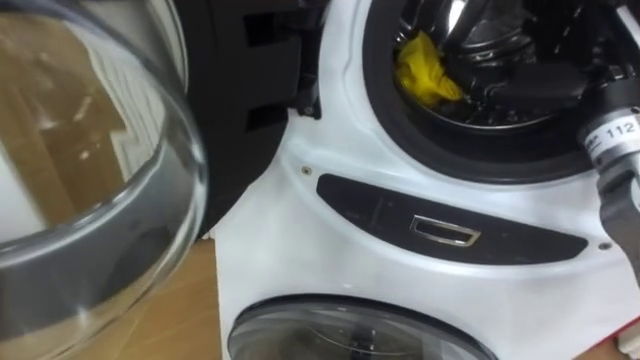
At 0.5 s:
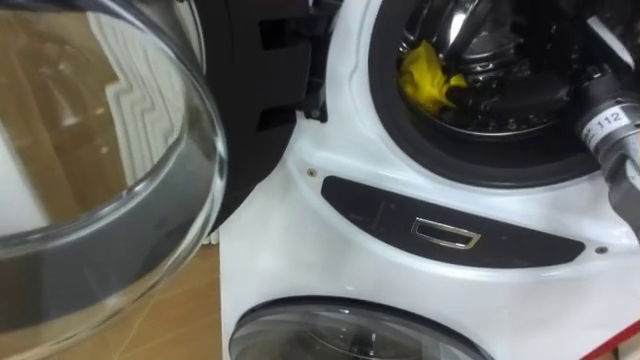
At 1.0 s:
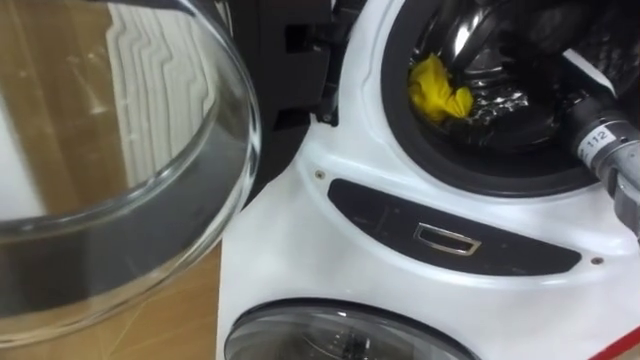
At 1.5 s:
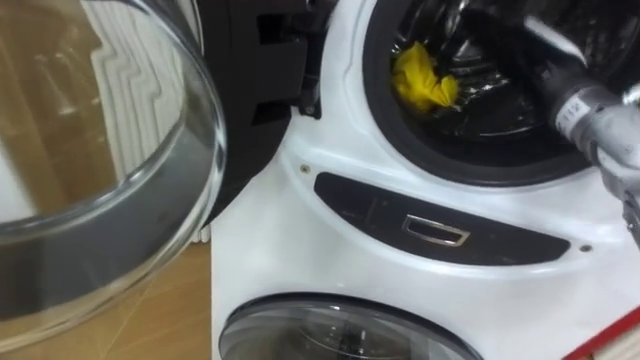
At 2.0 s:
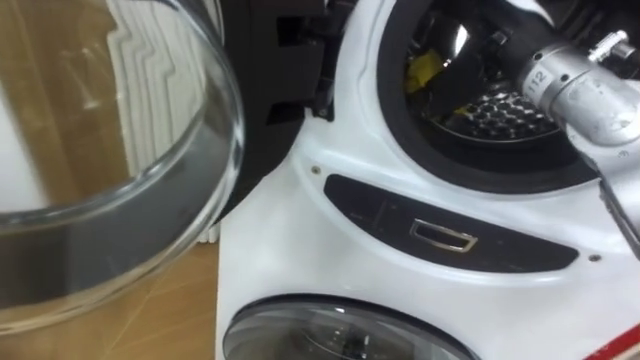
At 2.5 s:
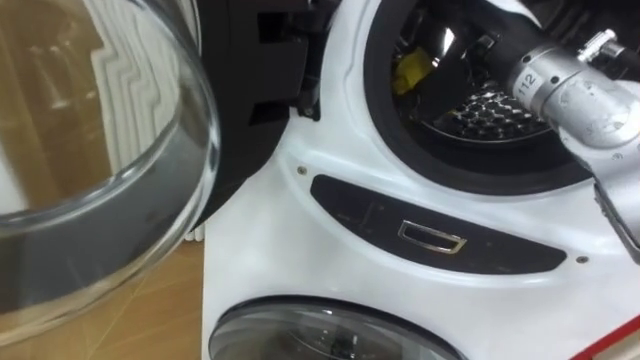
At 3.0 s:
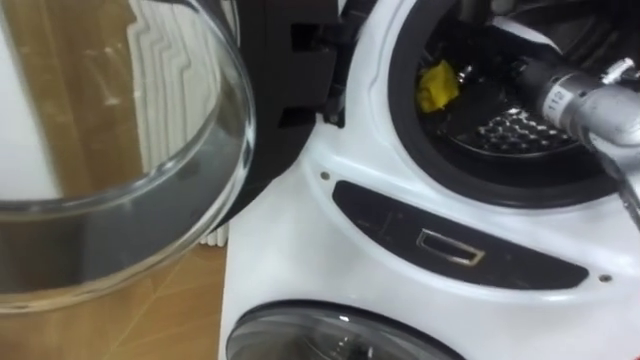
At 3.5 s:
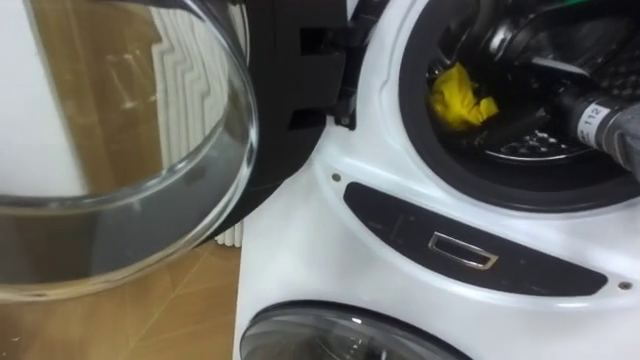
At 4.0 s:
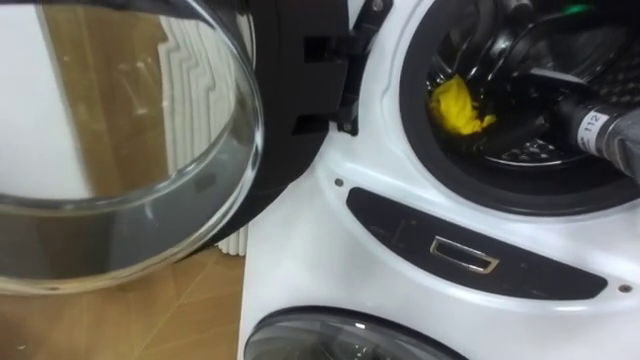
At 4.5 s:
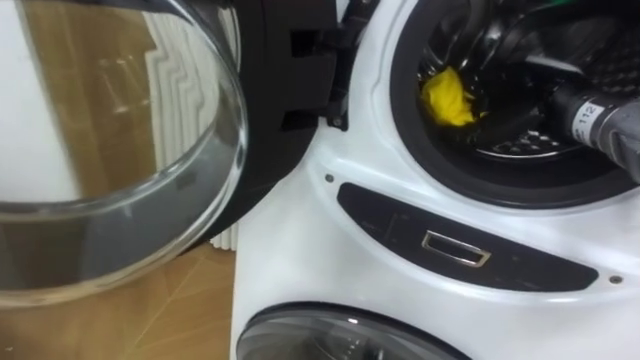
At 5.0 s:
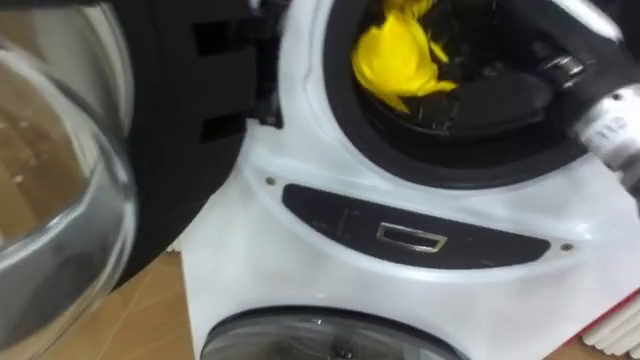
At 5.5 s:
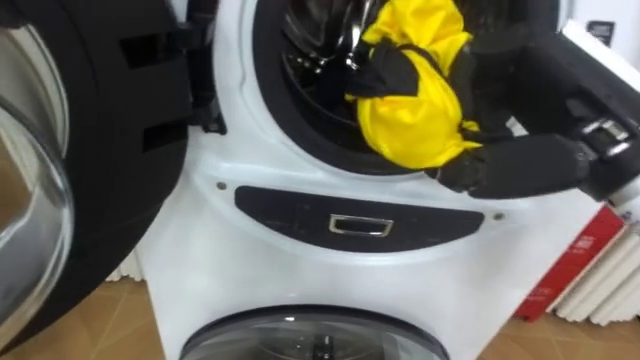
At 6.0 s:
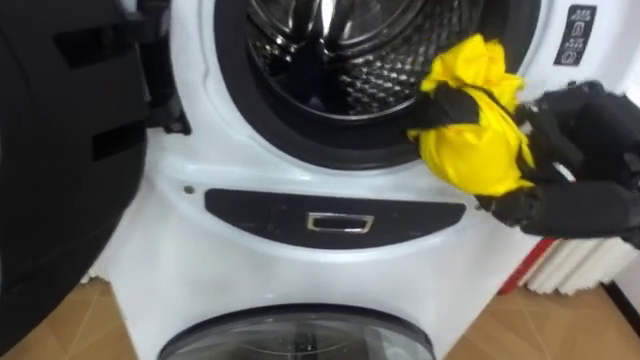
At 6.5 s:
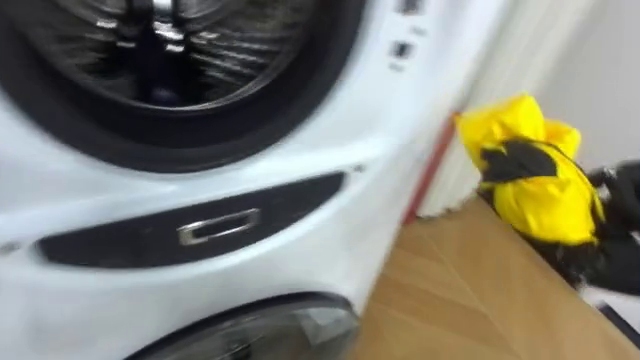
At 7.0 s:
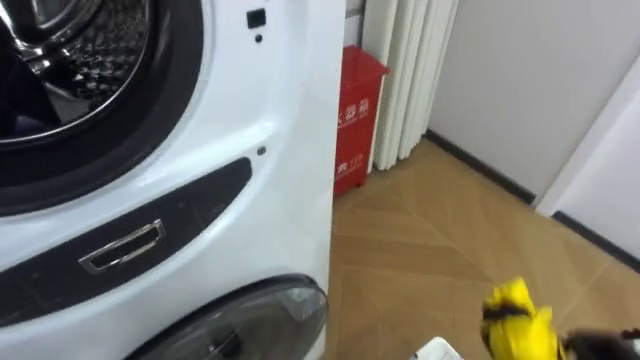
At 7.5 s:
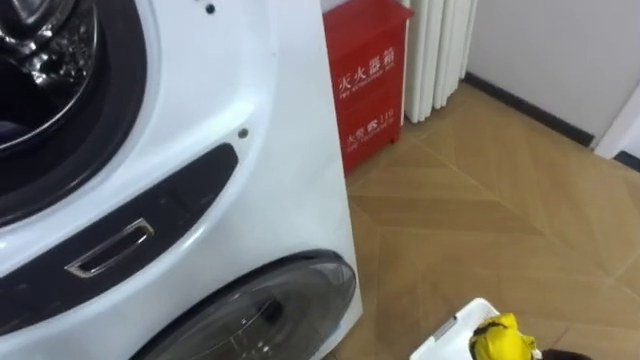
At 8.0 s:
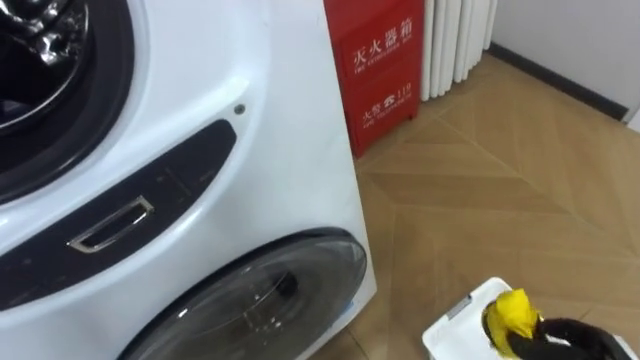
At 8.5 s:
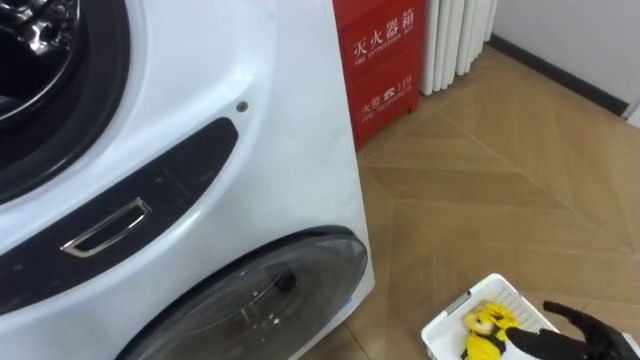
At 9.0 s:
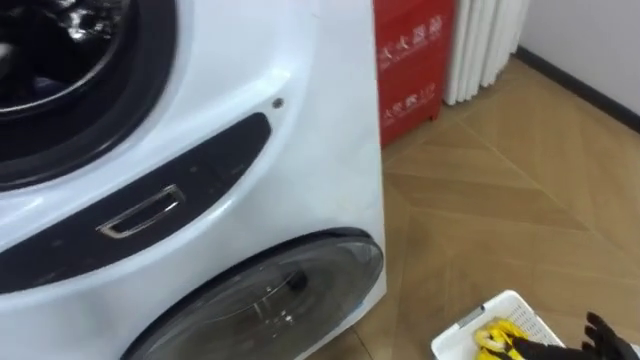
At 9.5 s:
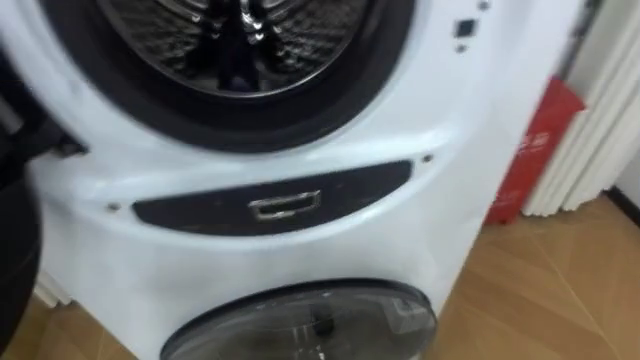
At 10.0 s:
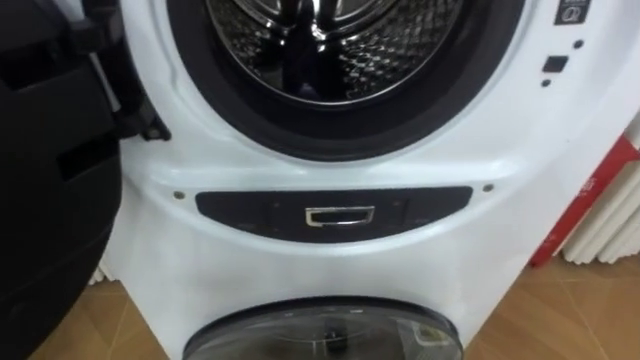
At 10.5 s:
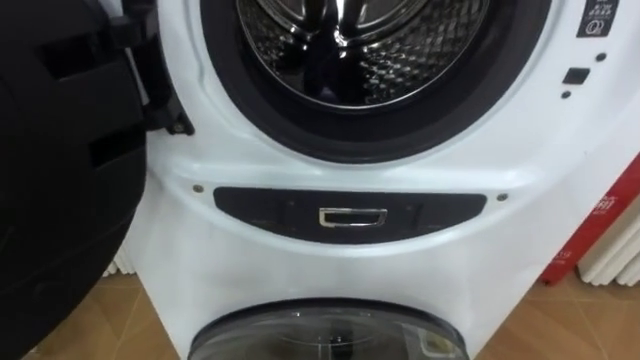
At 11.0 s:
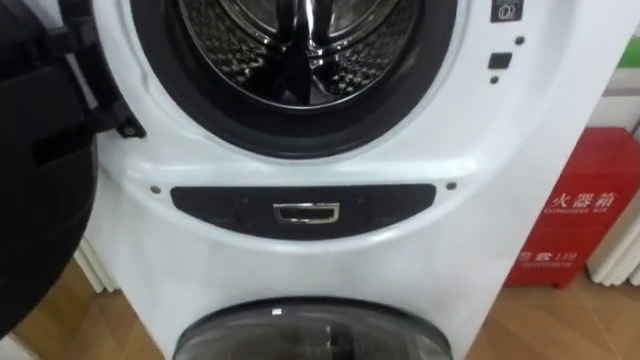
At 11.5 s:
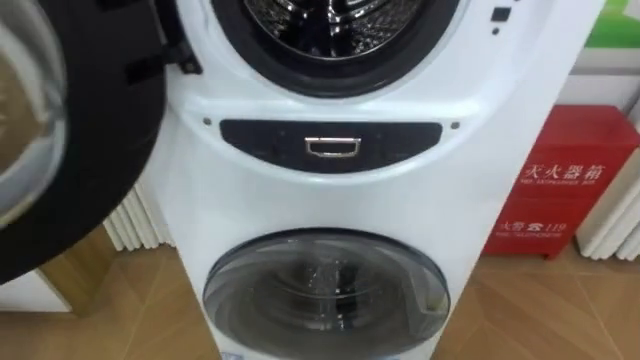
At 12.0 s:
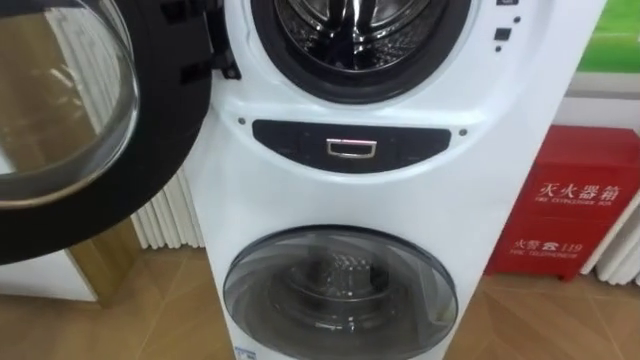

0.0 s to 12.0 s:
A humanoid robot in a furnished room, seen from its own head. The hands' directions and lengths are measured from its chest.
Task of the whole recording: Open the washing machine door, take out the yellow clothes, place them in the box on the right, and close the washing machine door.
0.0 to 2.0 s: The right hand moves to the left, some 10 cm.
2.0 to 4.0 s: The right hand goes about 15 cm downward and to the right, and closes its fingers.
4.0 to 6.0 s: The right hand shifts approximately 15 cm backward, and closes its fingers.
8.0 to 10.0 s: The robot's body swings roughly 20 degrees to its left.

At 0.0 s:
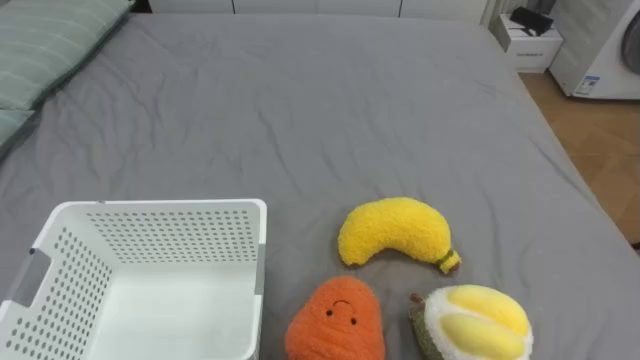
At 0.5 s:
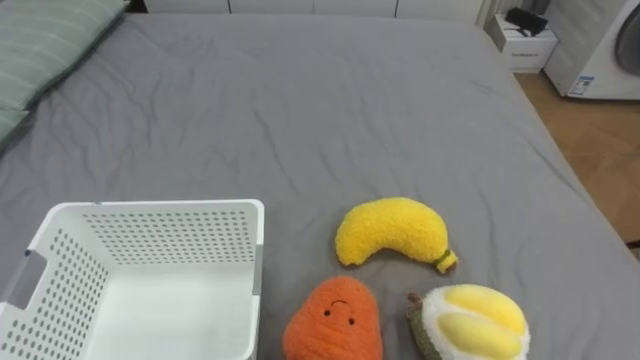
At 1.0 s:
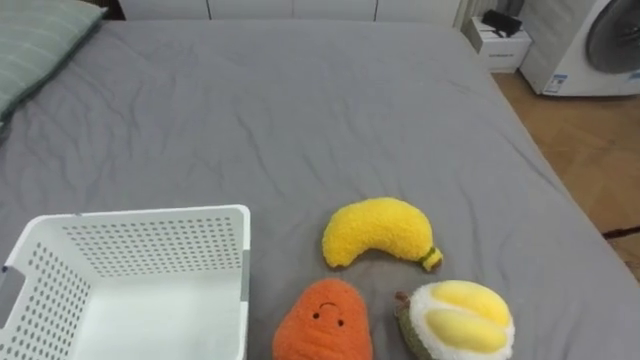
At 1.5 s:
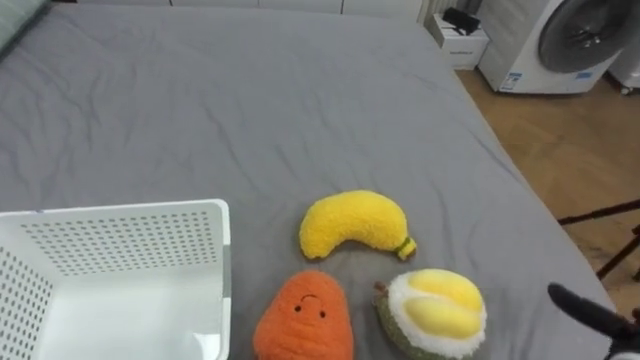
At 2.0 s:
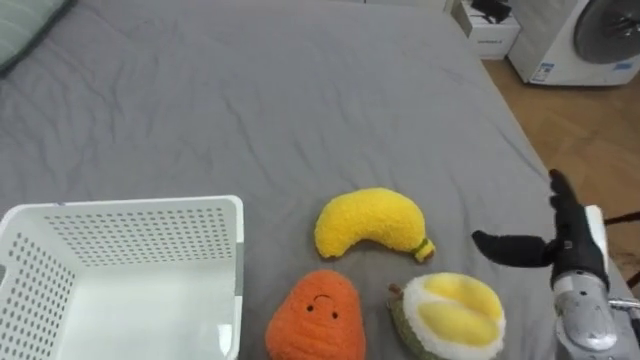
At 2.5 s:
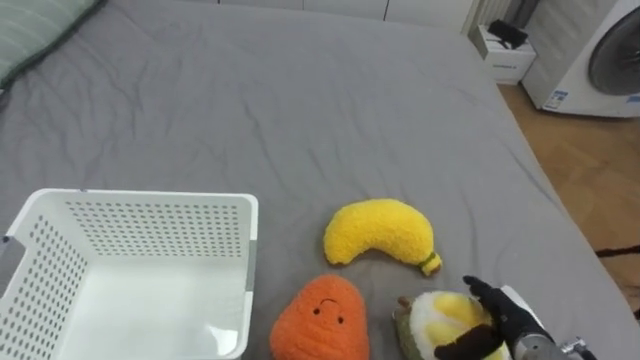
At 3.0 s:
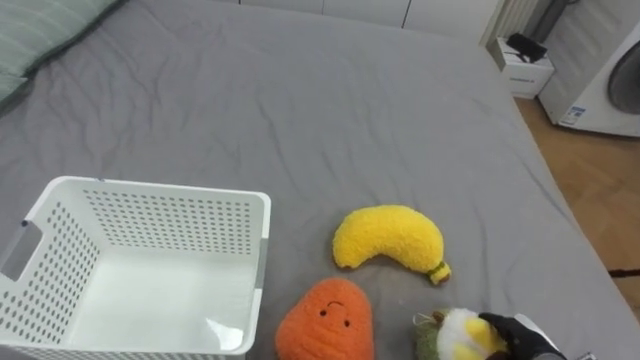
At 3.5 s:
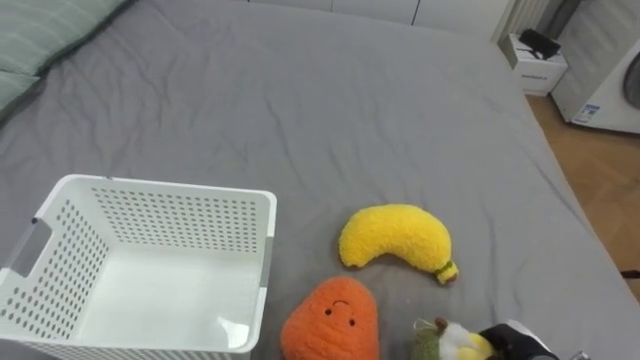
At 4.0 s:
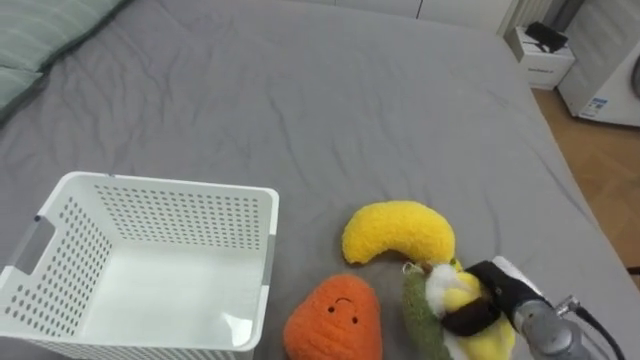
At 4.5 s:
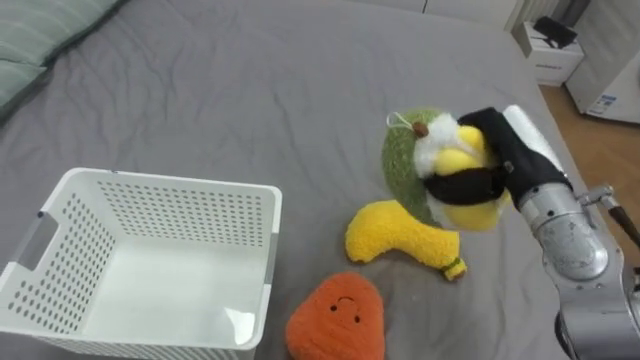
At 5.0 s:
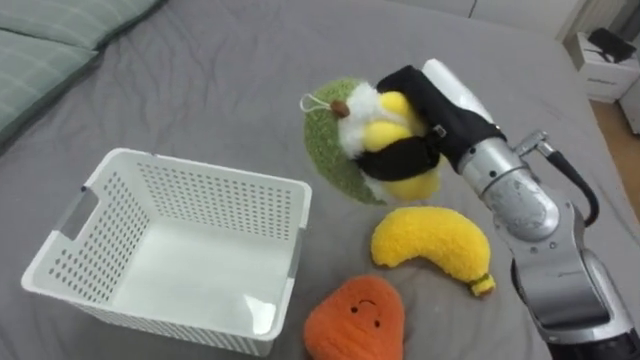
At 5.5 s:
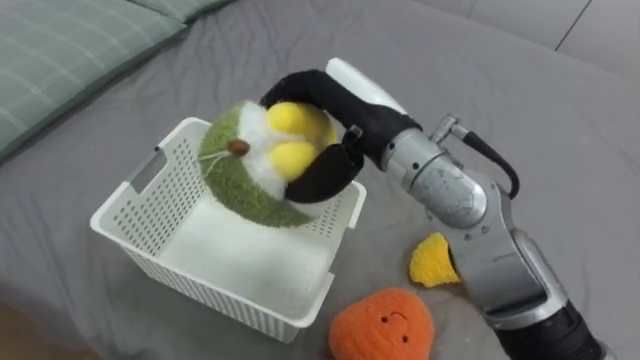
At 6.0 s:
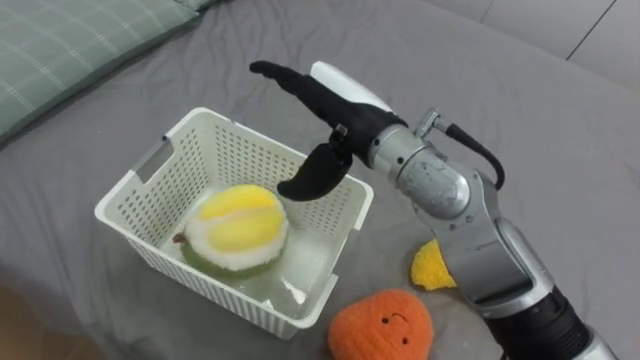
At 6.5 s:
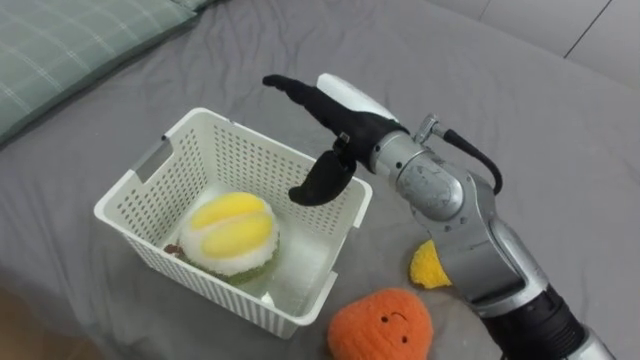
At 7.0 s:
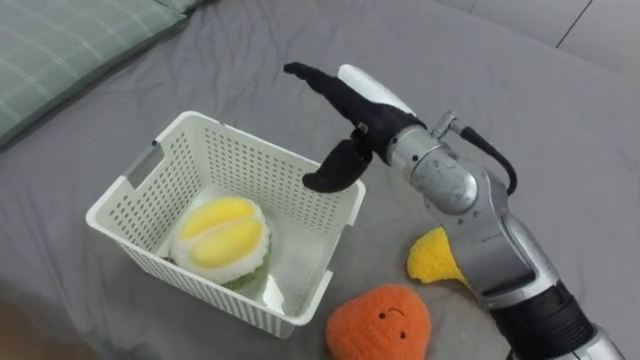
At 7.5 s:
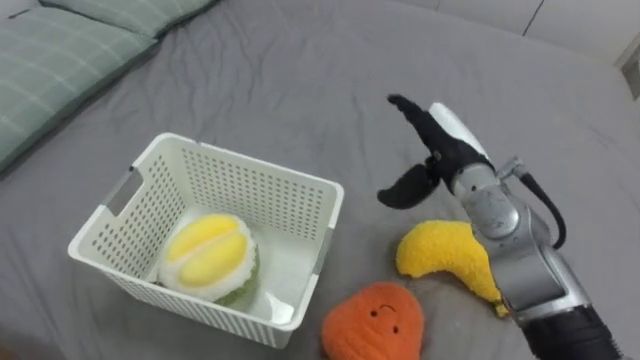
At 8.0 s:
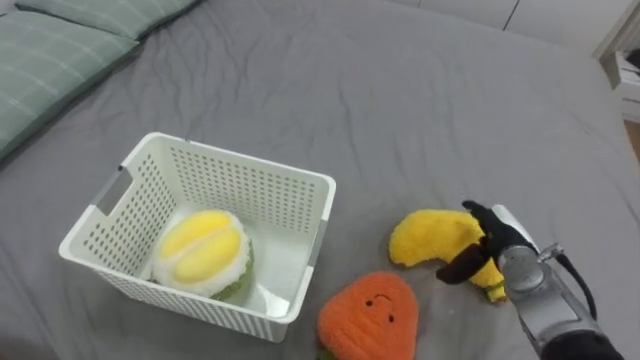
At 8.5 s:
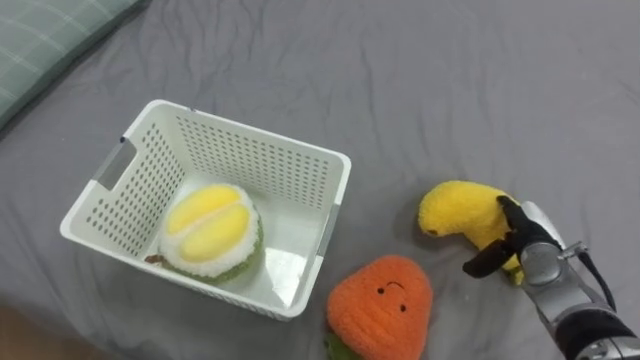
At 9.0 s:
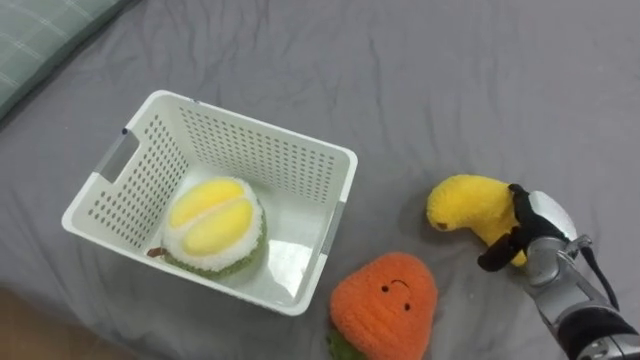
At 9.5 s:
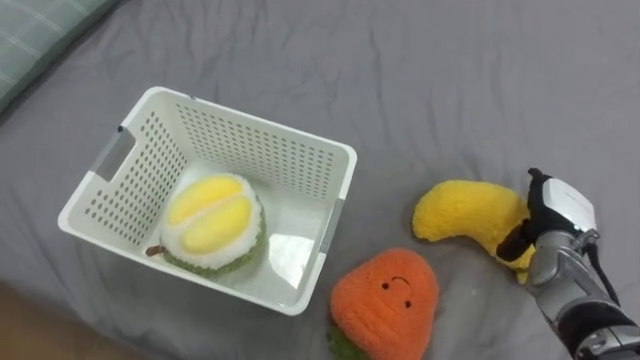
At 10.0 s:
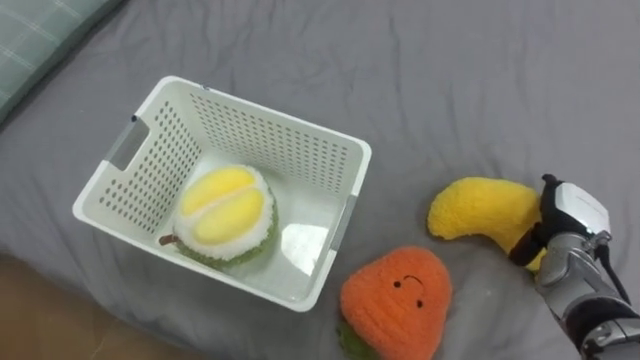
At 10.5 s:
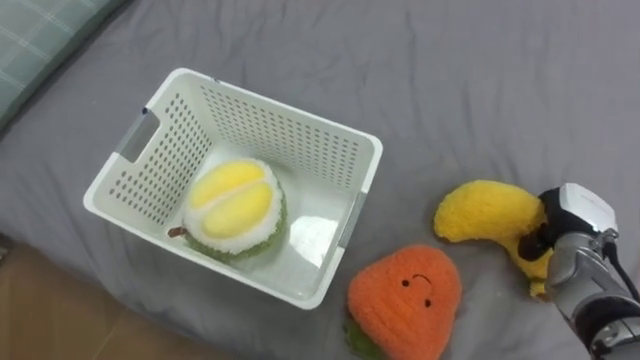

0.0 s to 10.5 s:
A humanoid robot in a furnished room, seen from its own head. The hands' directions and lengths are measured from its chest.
Task of the whole recording: Put the toys on the bed into the basket on the left.
2.0 to 4.0 s: The right hand moves downward and to the left, approximately 10 cm, and closes.
4.0 to 6.5 s: The right hand goes roughly 35 cm upward and to the left, and opens.
6.5 to 8.5 s: The right hand is displaced to the right and downward by about 35 cm.
8.5 to 10.5 s: The right hand shifts by some 5 cm, and closes.
